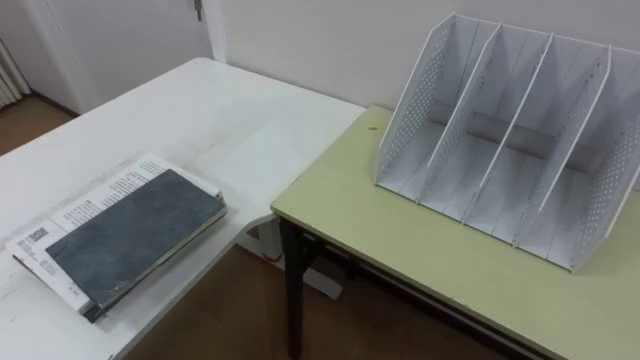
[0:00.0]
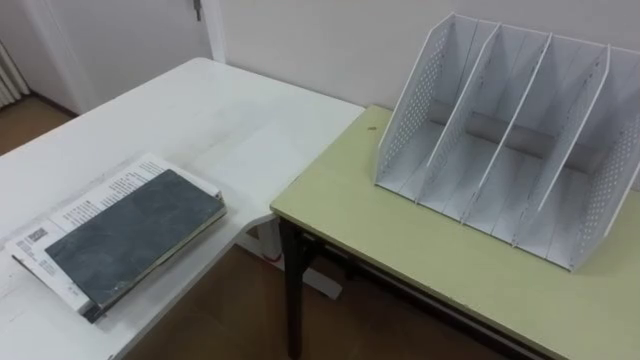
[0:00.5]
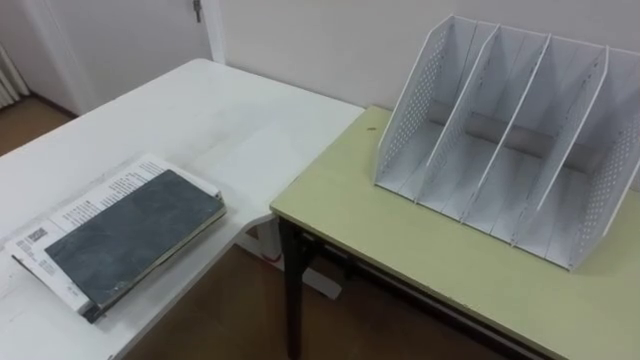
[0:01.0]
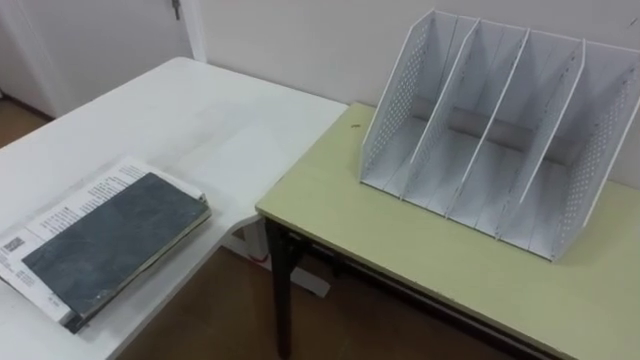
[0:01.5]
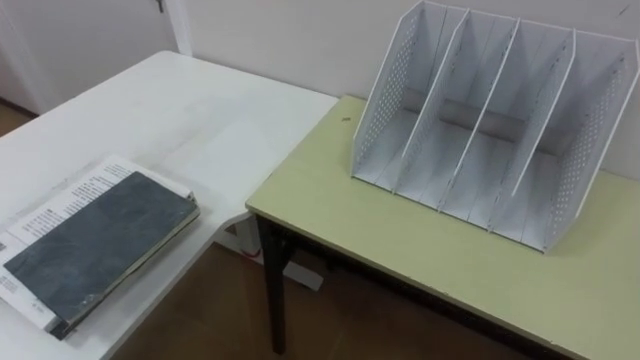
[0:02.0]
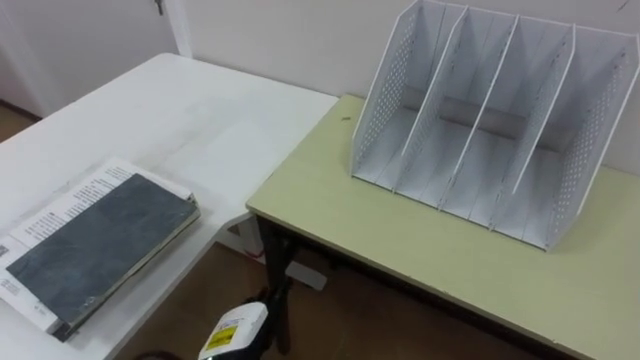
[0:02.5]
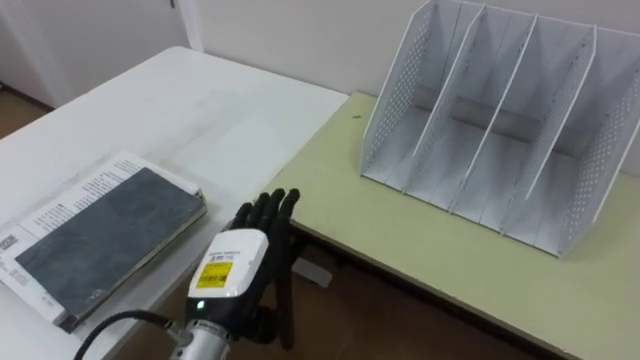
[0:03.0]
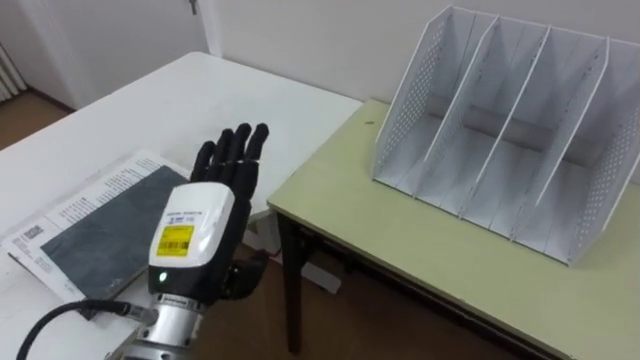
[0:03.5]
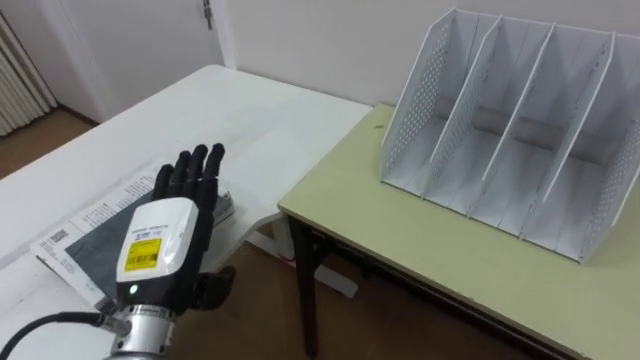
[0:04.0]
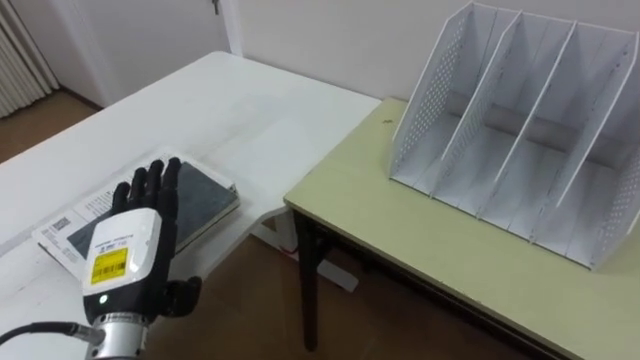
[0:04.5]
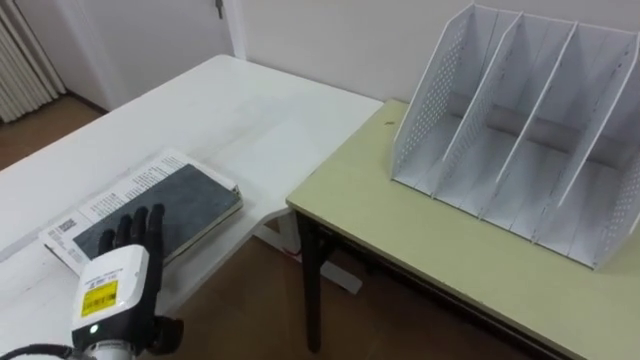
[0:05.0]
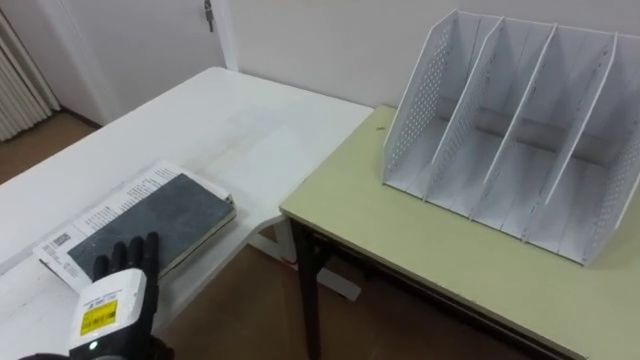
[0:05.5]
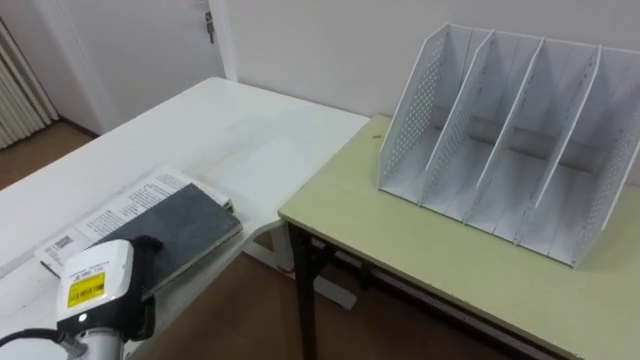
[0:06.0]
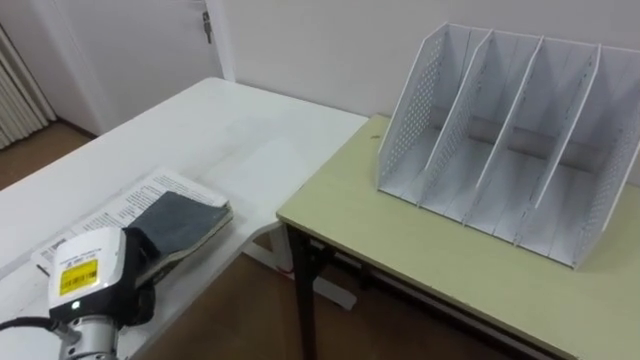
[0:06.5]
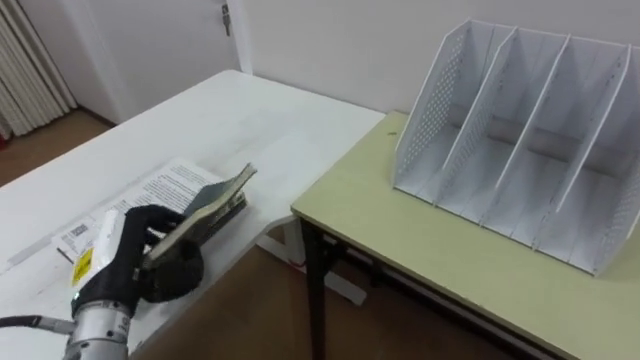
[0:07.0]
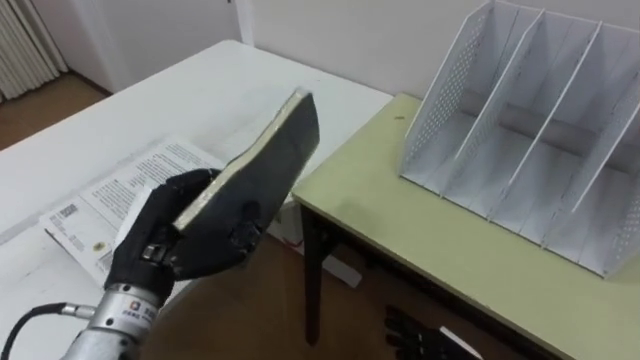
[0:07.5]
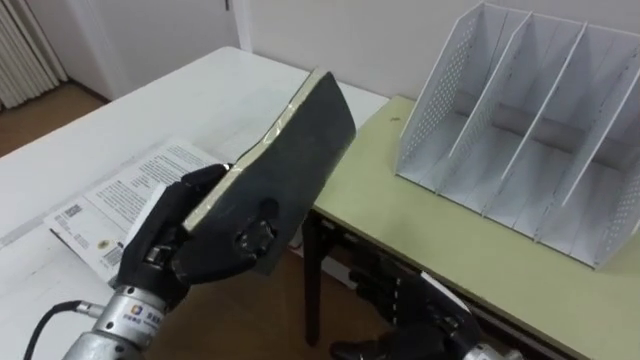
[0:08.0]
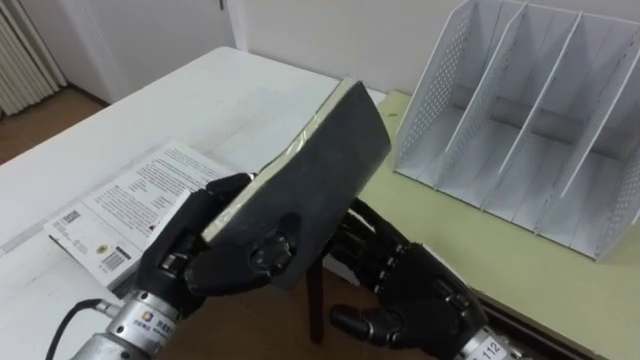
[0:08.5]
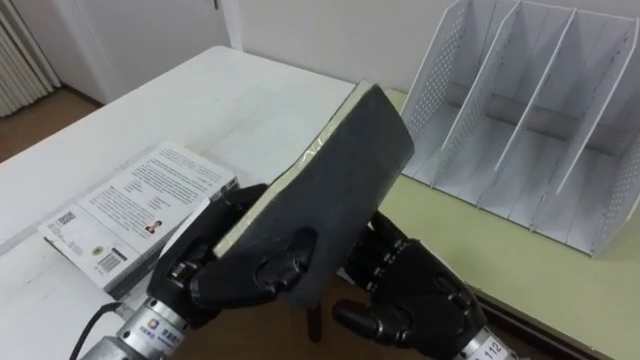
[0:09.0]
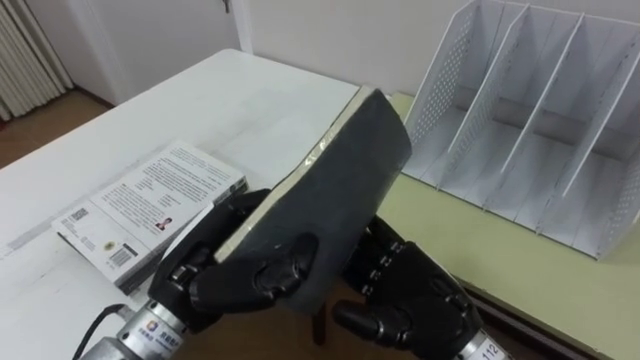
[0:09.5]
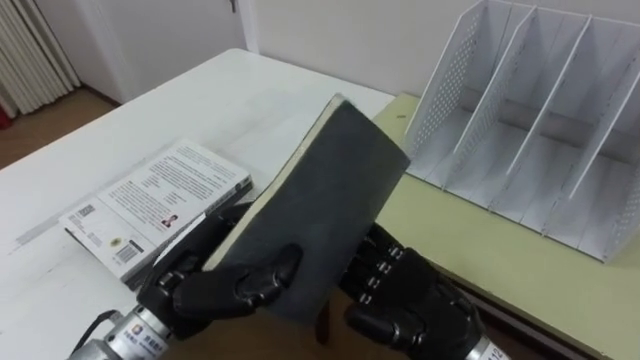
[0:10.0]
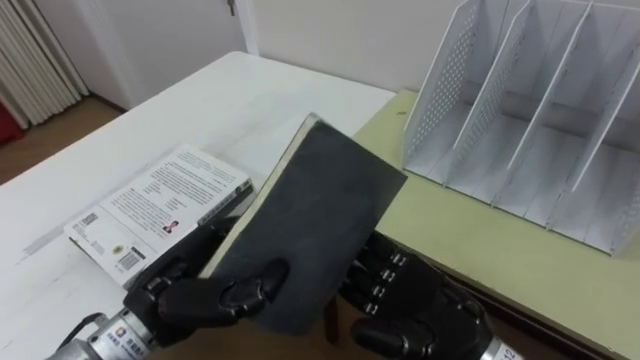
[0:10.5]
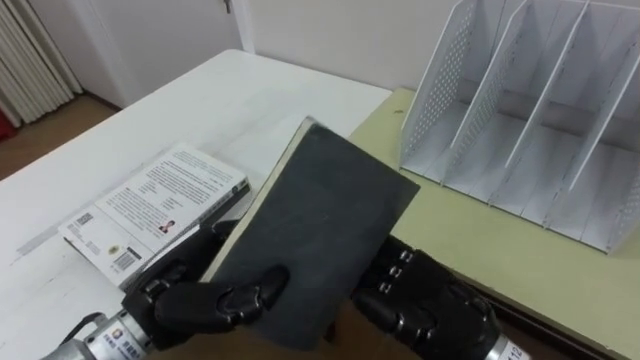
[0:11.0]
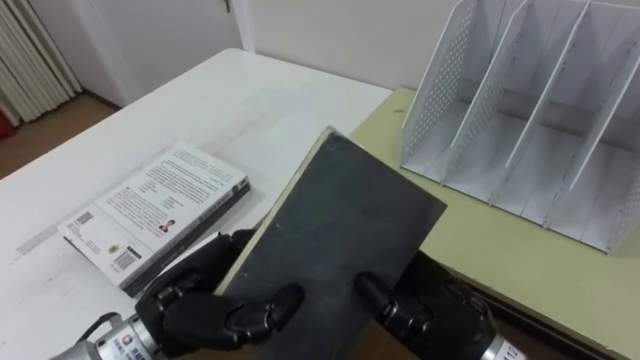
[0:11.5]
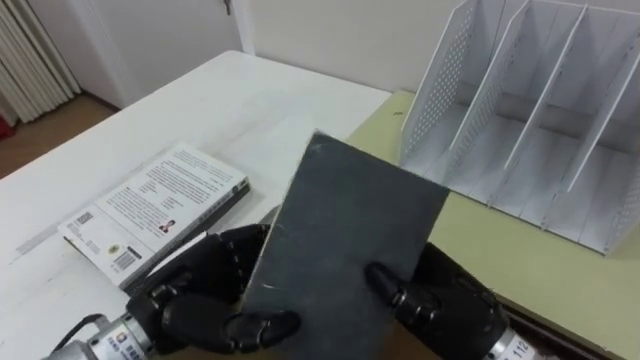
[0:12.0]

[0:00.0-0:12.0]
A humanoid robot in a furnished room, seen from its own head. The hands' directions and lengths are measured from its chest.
Task of the whole recording: Put the books on the table onto the bookshelf.
0:04.0 to 0:06.0: The left hand goes some 10 cm to the left and downward, and closes.
0:06.0 to 0:08.0: The left hand travels upward and to the right by approximately 15 cm, and closes its fingers.
0:08.0 to 0:10.0: The right hand goes roughly 5 cm upward.
0:10.0 to 0:12.0: The right hand closes up.

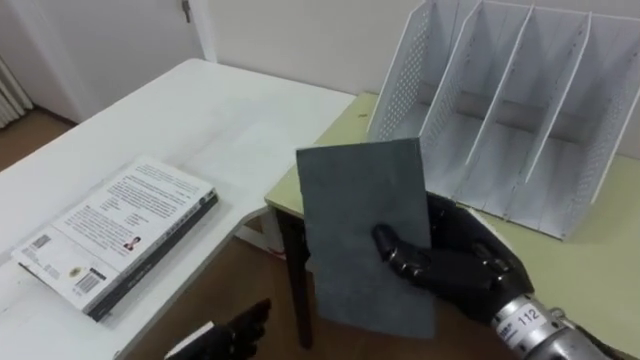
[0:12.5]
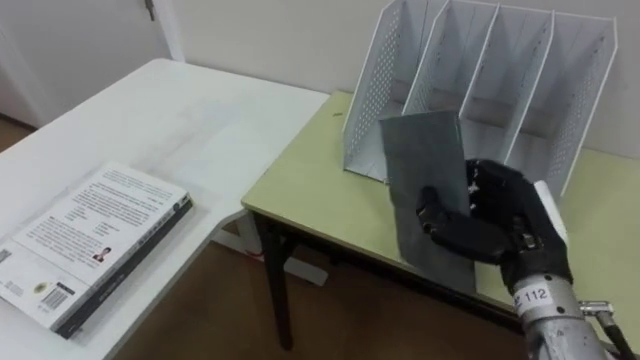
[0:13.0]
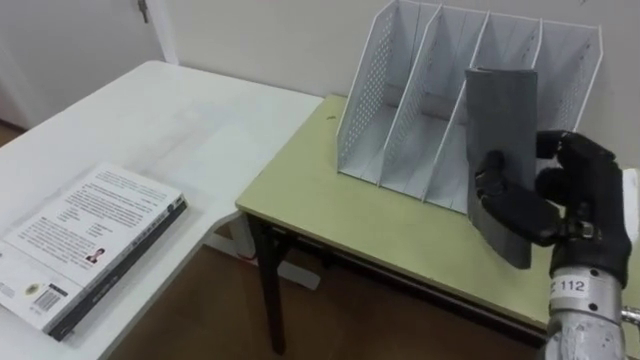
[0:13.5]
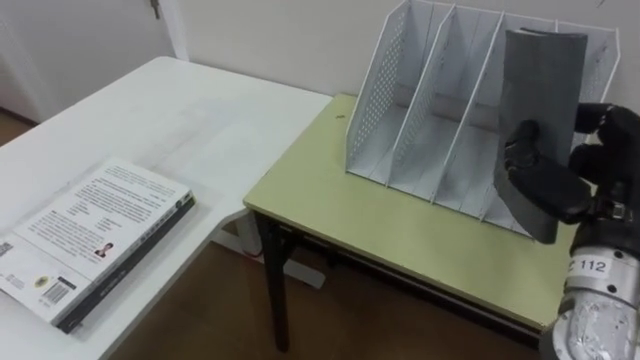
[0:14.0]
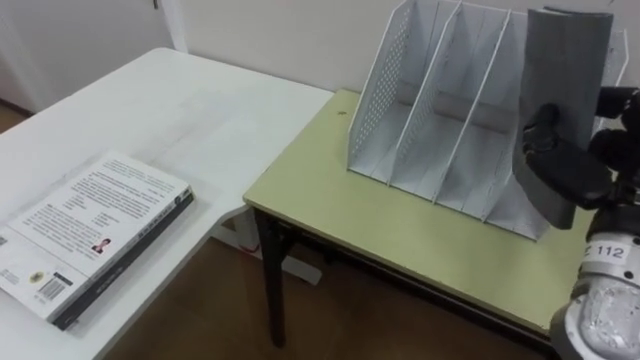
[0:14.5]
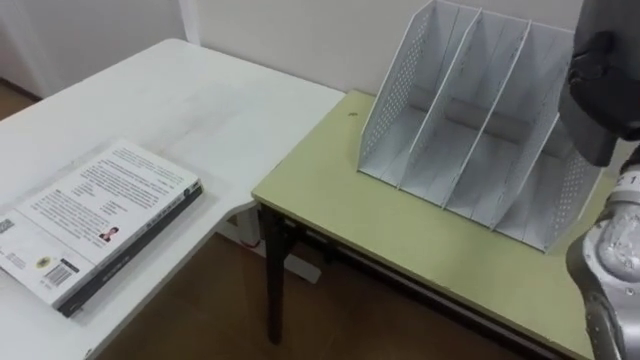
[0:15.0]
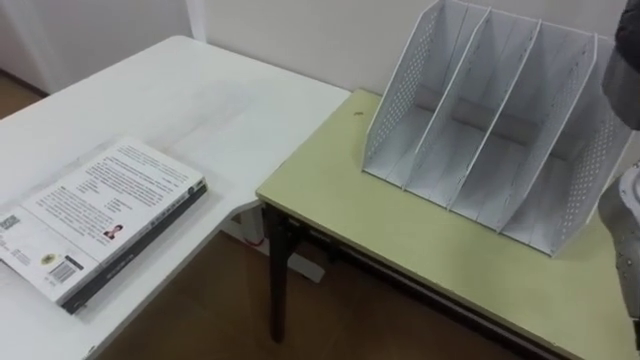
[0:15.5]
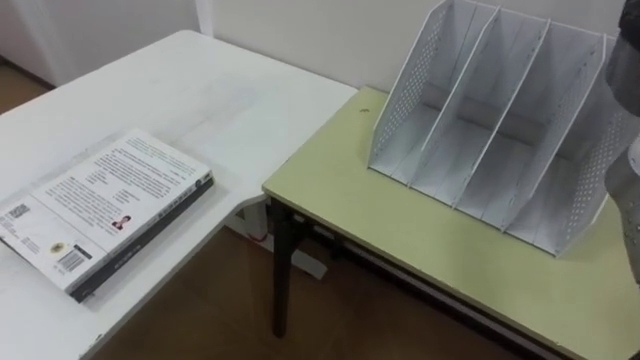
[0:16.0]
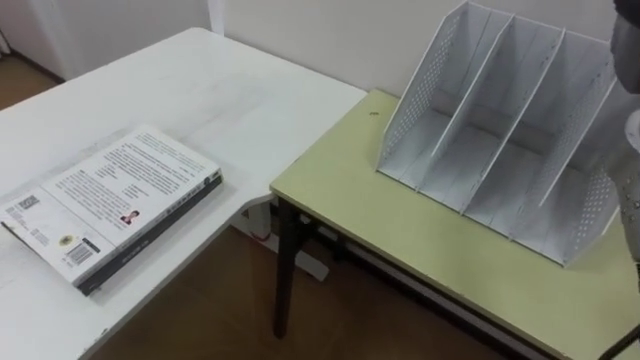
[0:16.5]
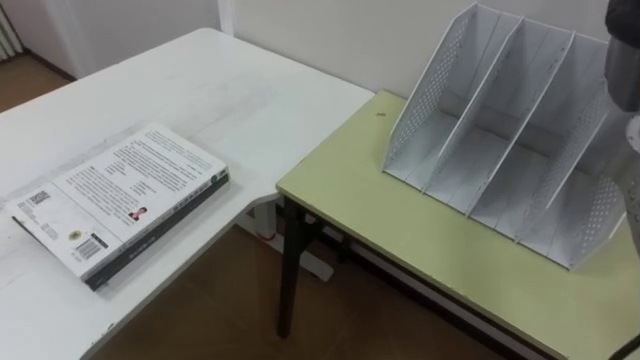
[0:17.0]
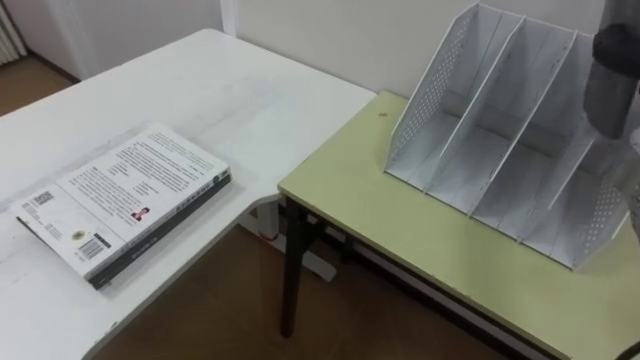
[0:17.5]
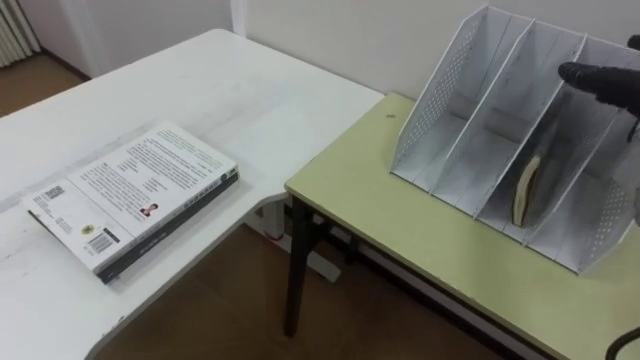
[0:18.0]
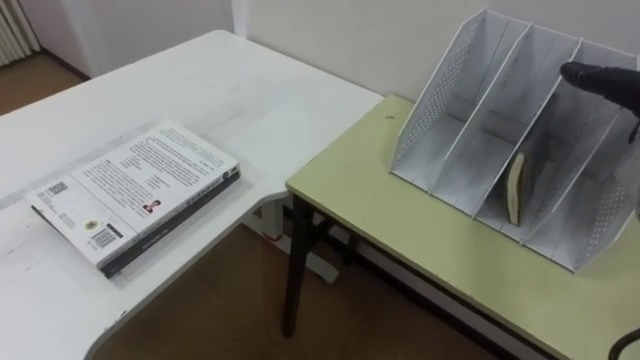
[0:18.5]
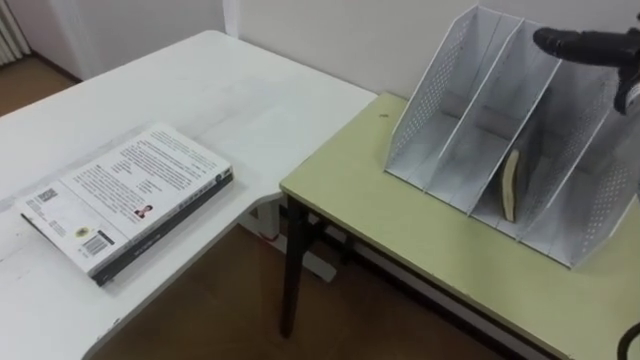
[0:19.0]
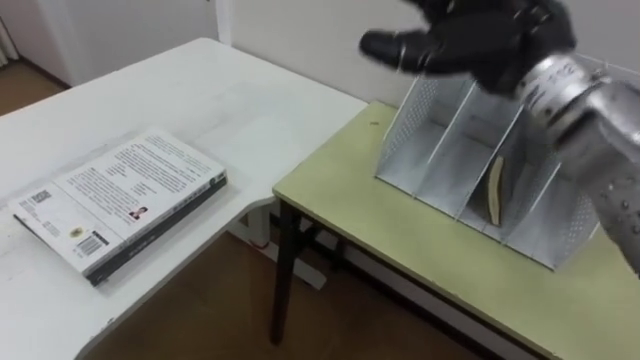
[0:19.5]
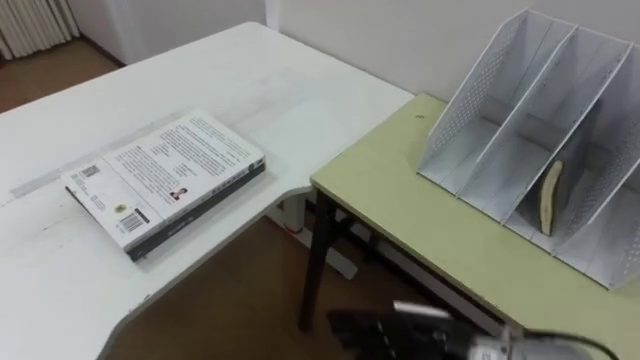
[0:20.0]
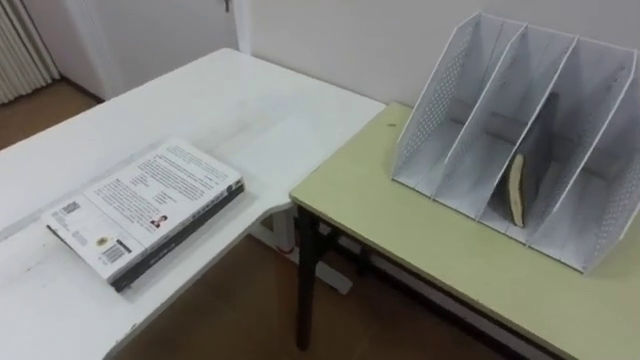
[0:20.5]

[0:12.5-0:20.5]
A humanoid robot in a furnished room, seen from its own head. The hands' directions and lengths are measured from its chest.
Task of the whole recording: Put the books on the table onto the bookshelf.
0:12.5 to 0:14.5: The right hand shifts approximately 15 cm to the right and upward.
